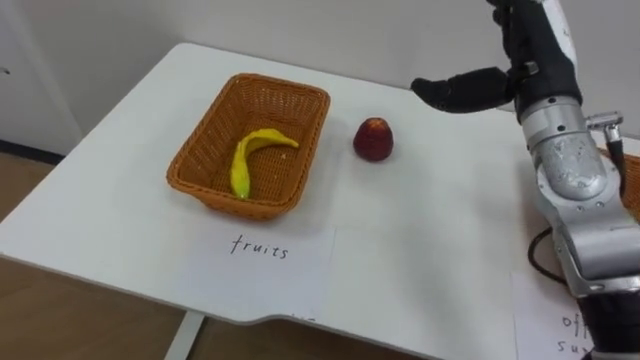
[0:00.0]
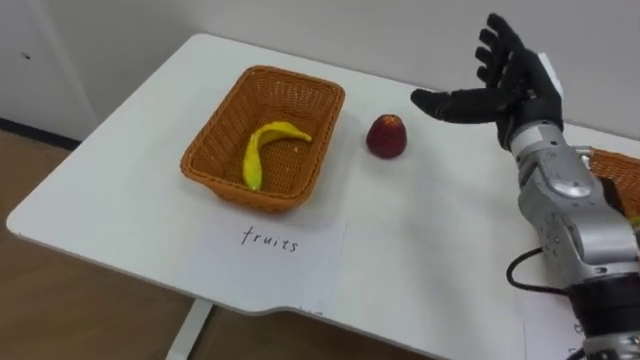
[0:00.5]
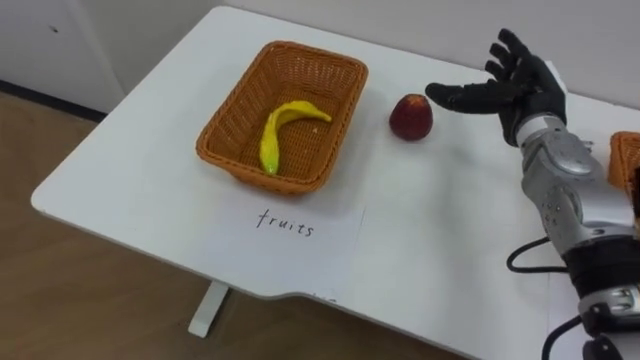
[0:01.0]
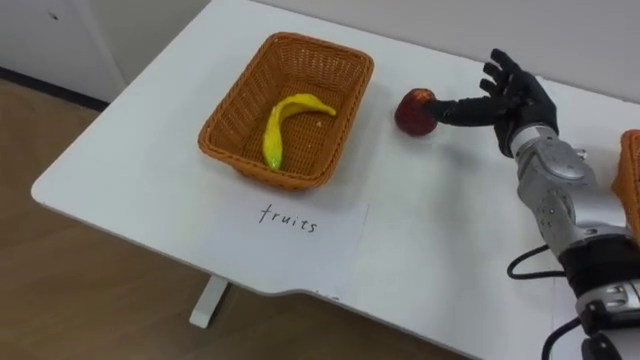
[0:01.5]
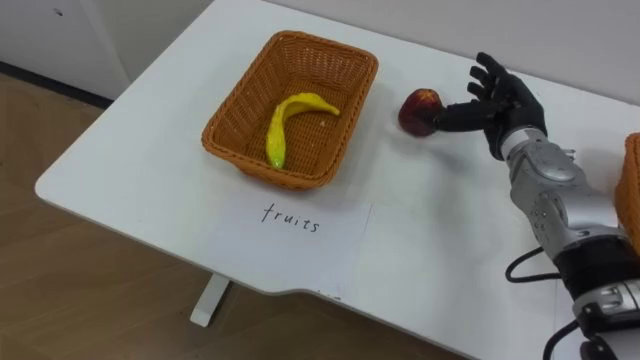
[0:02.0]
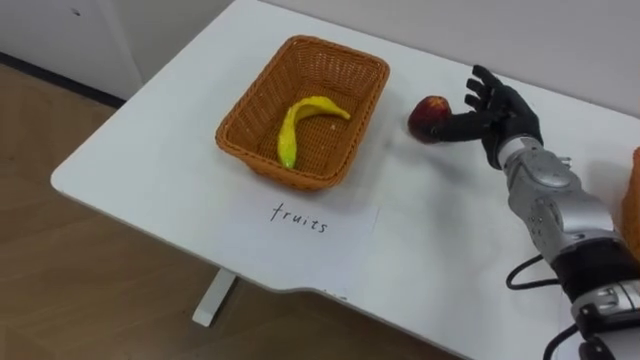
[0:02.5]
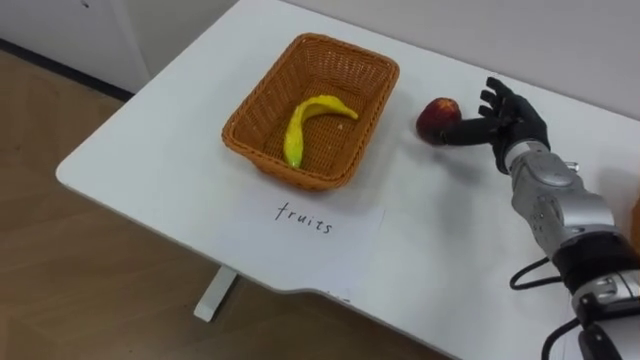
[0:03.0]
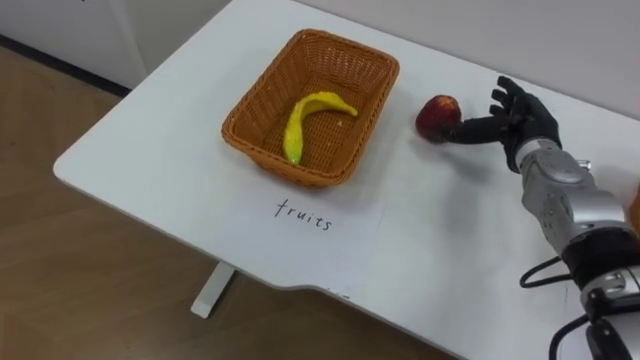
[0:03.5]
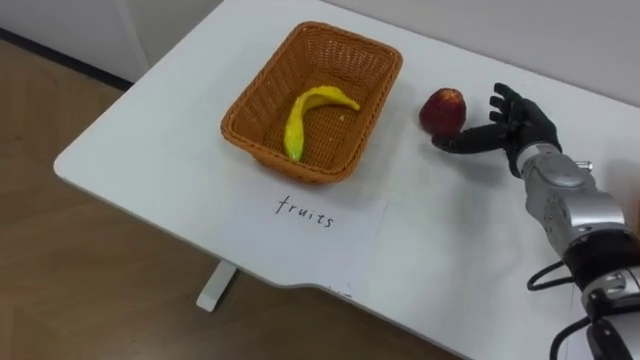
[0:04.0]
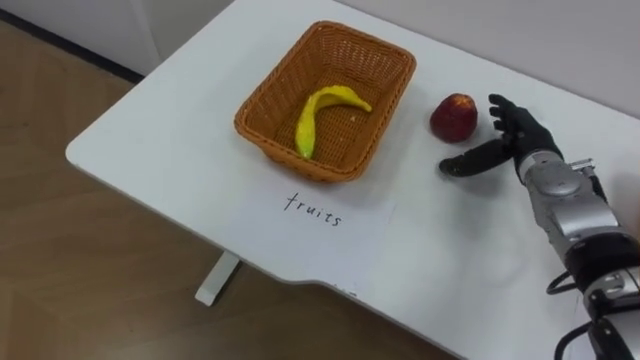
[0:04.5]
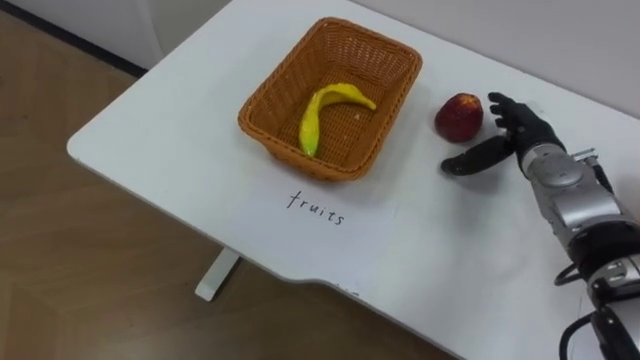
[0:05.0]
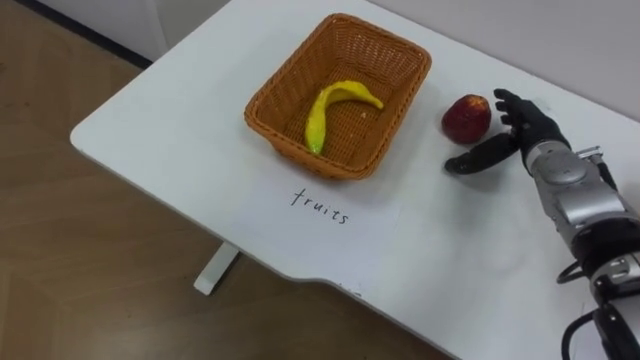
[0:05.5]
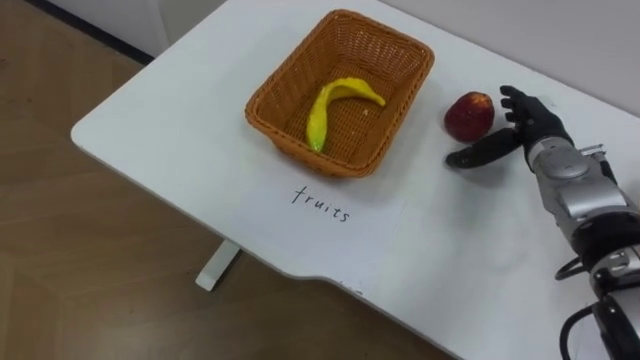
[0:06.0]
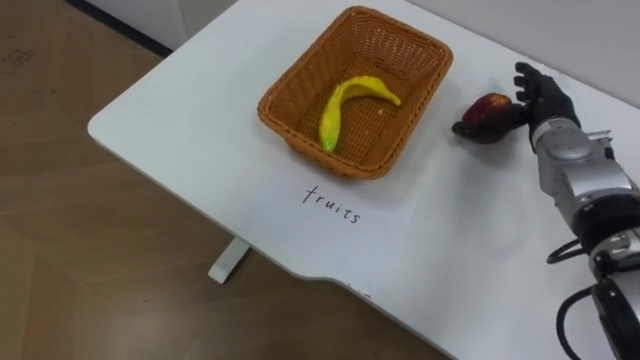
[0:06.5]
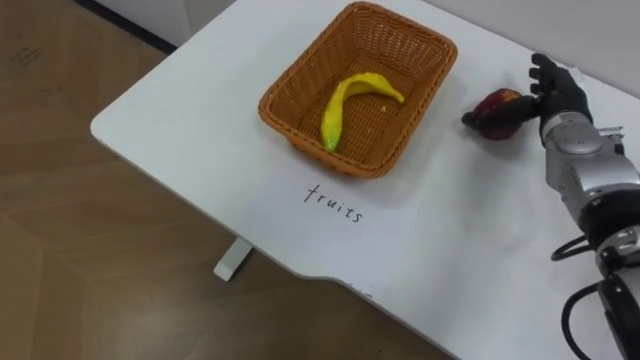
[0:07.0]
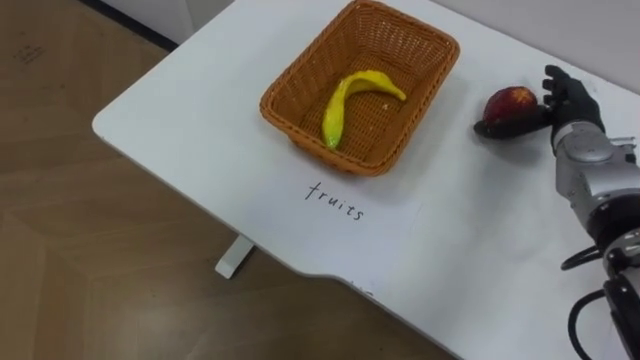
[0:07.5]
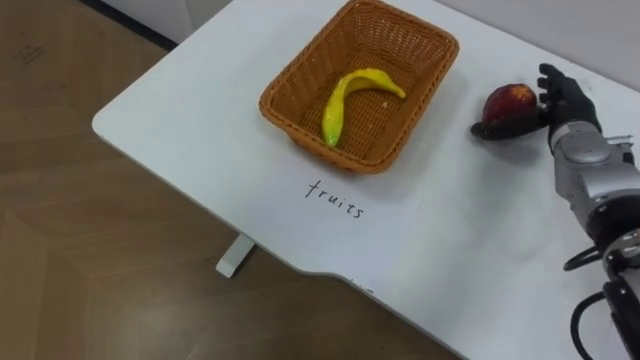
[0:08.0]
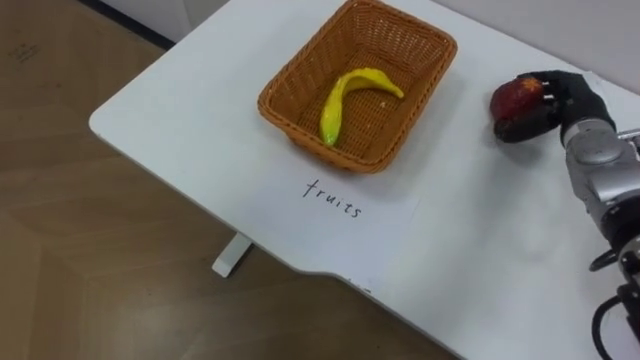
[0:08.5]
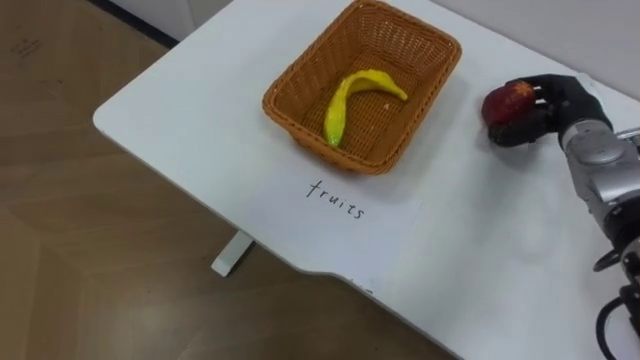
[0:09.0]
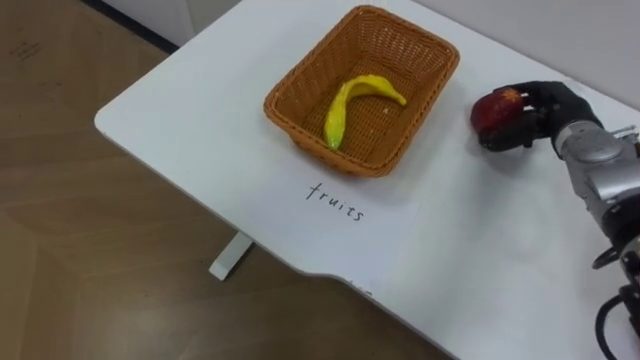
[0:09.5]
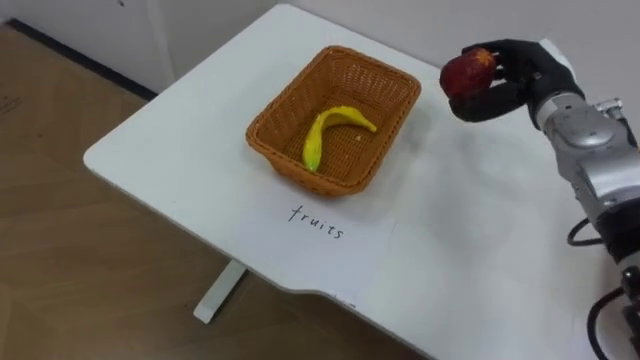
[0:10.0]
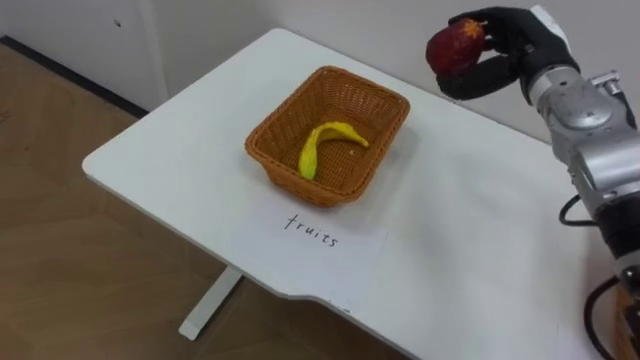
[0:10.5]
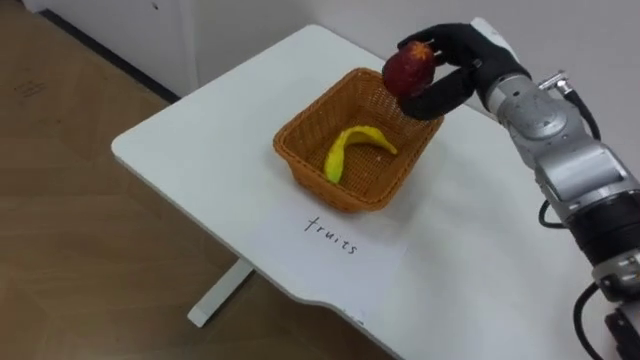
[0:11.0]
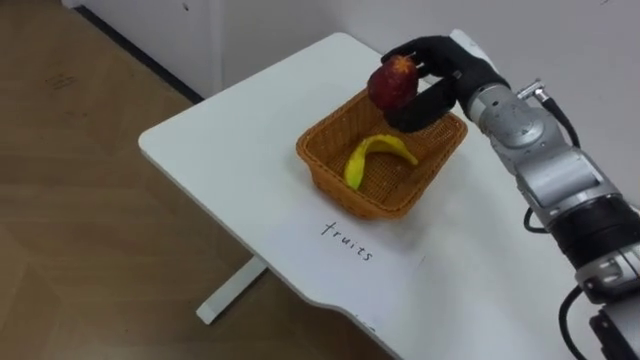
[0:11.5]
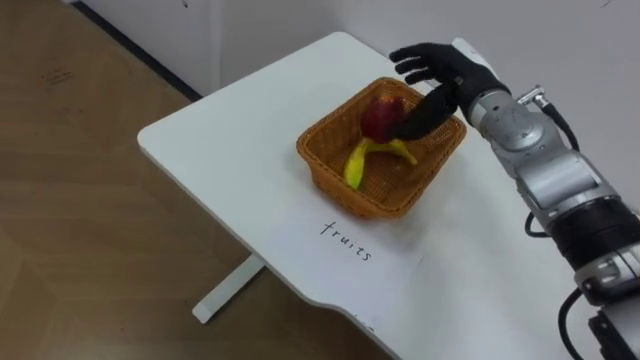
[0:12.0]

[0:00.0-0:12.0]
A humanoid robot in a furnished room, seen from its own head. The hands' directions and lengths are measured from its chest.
Task of the whole recording: Separate the items on the table and place them into the two baskets.
0:00.0 to 0:02.0: The right hand is displaced downward by about 10 cm.
0:08.0 to 0:10.0: The right hand changes place by some 5 cm, and closes.
0:10.0 to 0:12.0: The right hand shifts approximately 10 cm to the left.

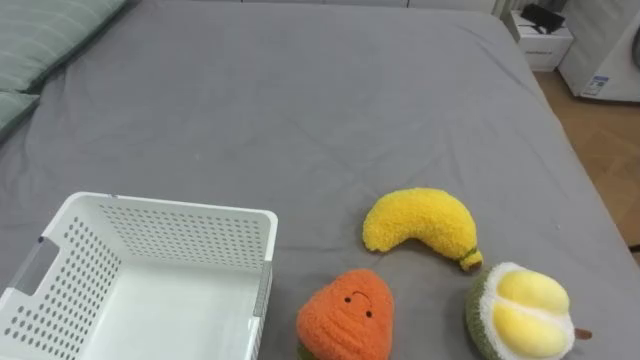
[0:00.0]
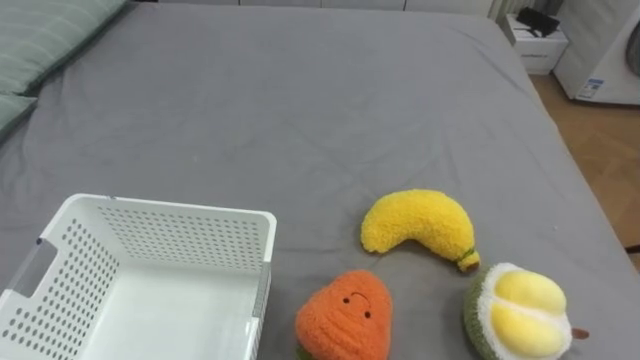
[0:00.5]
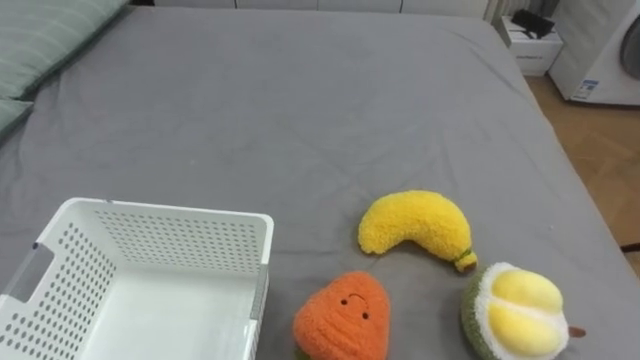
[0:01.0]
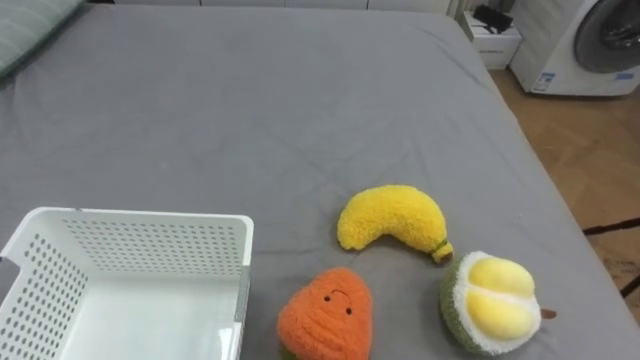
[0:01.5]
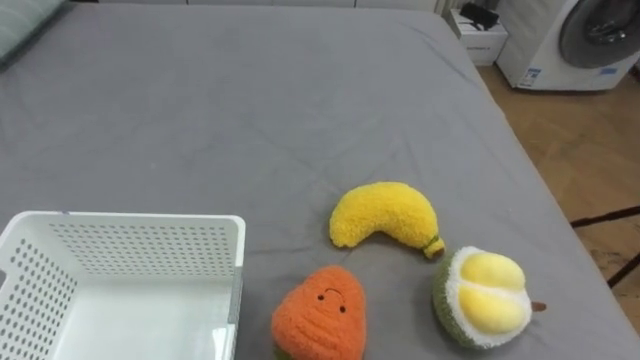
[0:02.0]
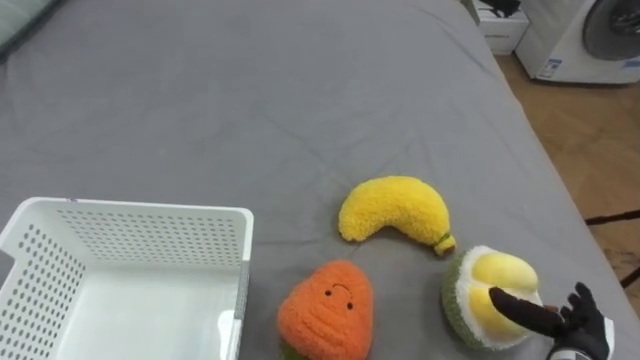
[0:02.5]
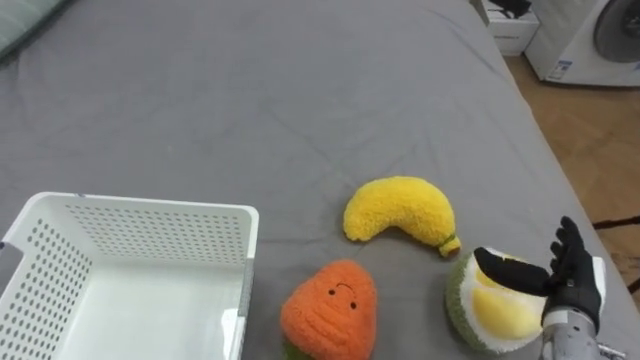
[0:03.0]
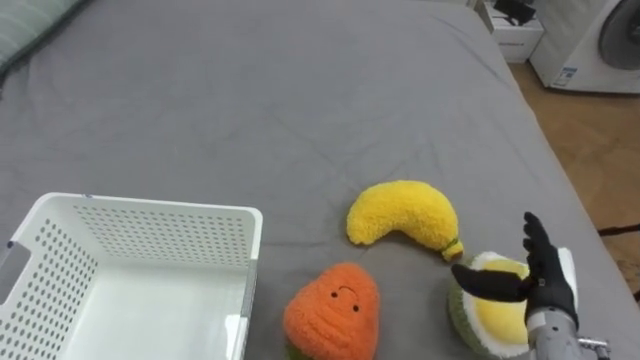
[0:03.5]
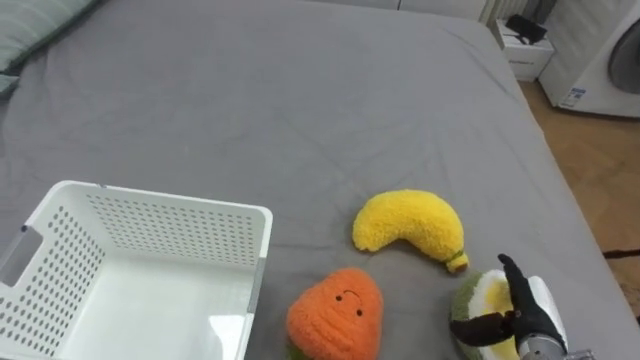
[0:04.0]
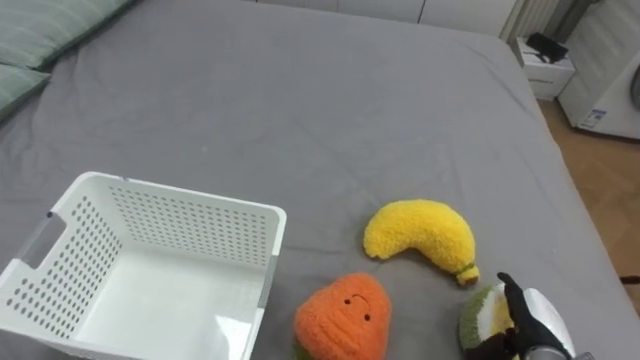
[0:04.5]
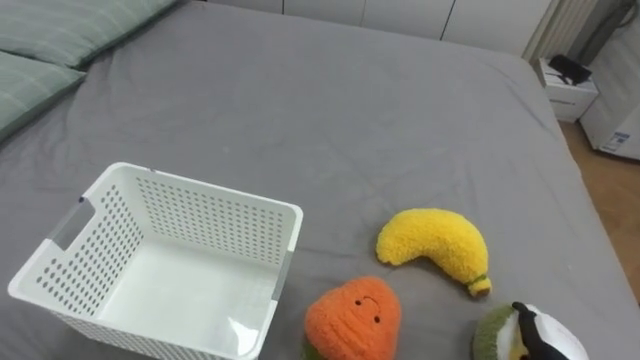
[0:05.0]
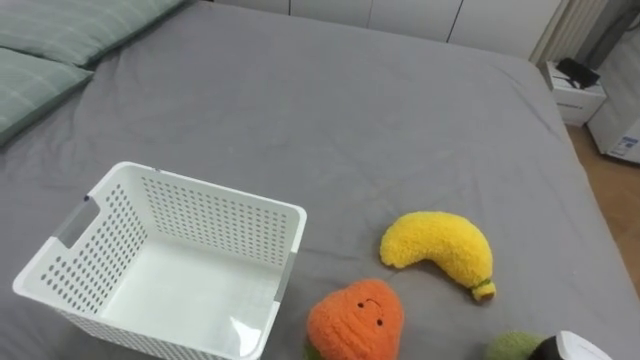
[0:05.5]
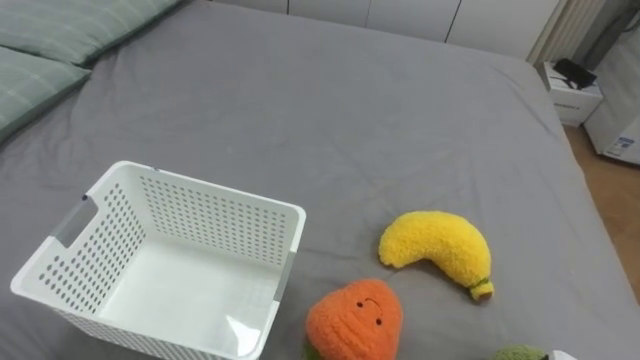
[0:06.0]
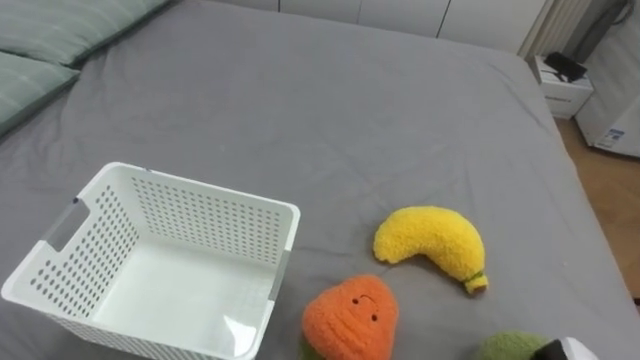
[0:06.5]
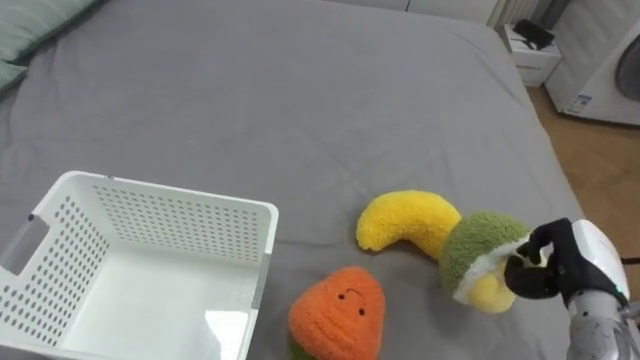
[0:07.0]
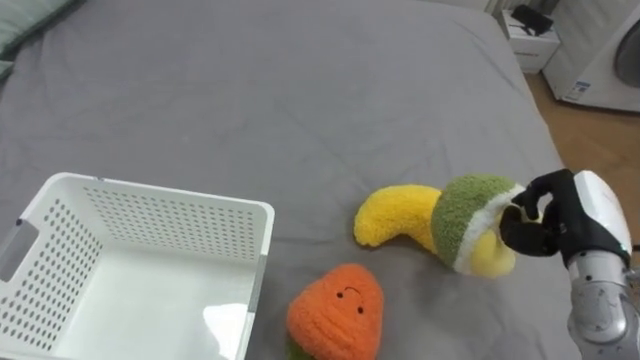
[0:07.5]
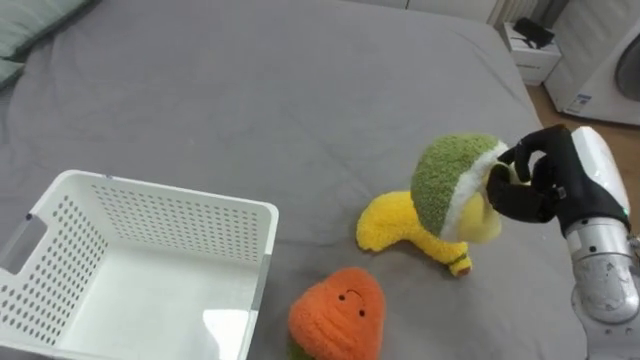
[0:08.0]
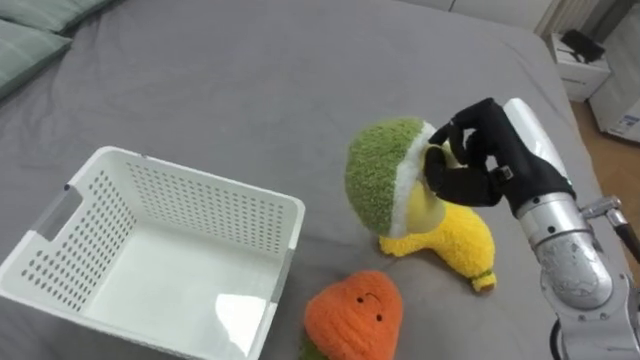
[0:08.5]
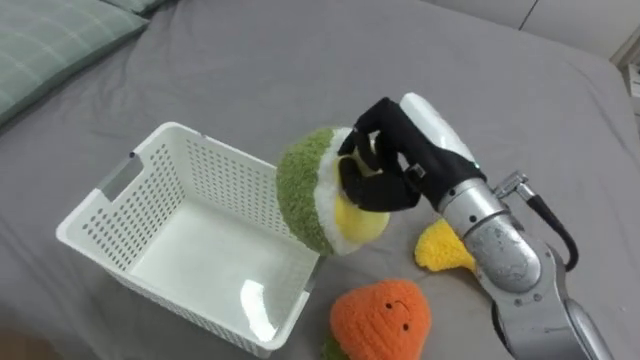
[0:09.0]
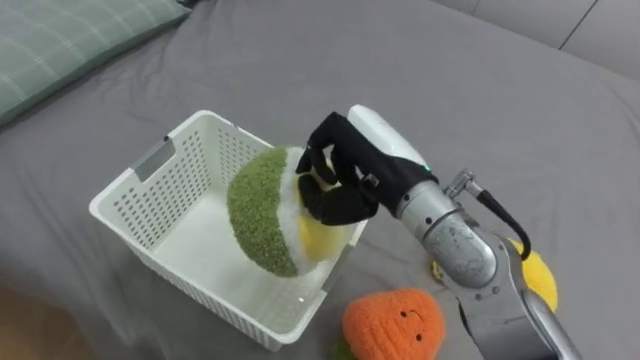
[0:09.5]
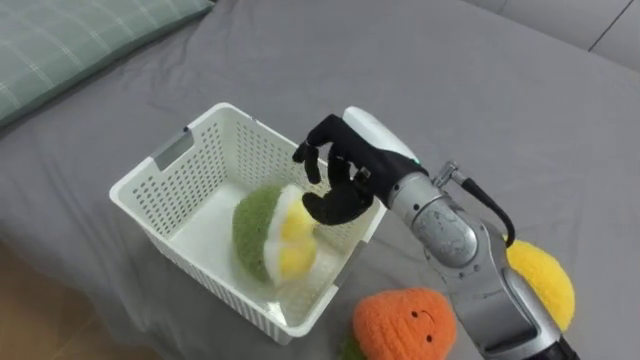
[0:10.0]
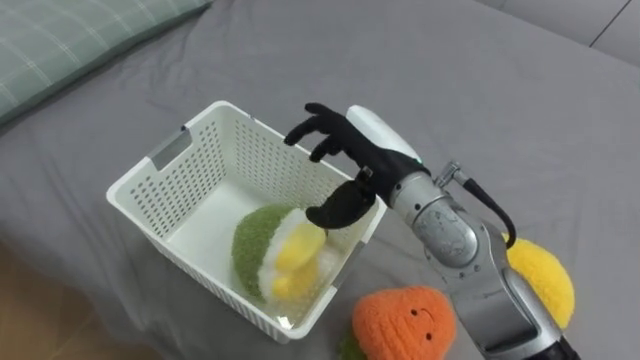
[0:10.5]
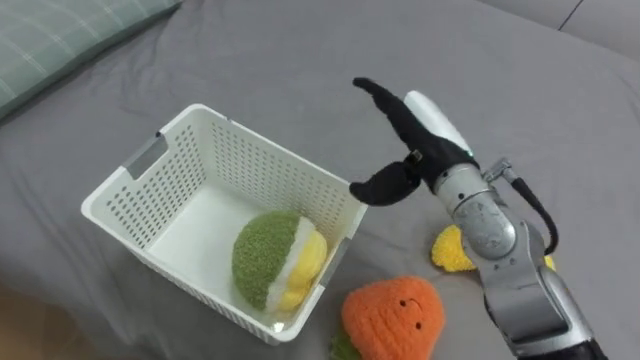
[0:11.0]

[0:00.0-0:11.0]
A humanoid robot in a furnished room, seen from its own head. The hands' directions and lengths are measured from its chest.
Task of the whole recording: Put the toys on the bed into the basket on the left.
0:07.5 to 0:09.0: The right hand moves to the left and upward, some 20 cm.
0:09.0 to 0:11.0: The right hand opens up.
